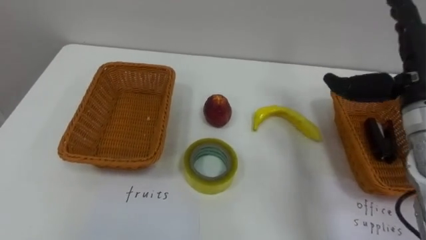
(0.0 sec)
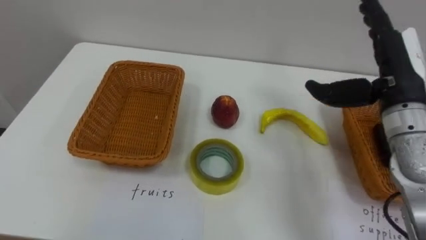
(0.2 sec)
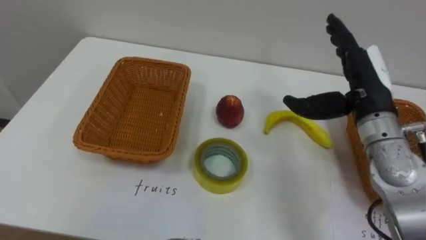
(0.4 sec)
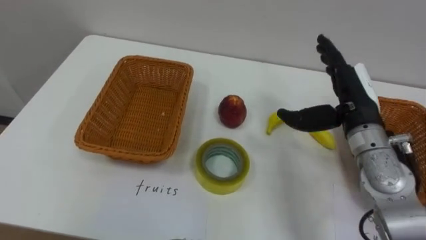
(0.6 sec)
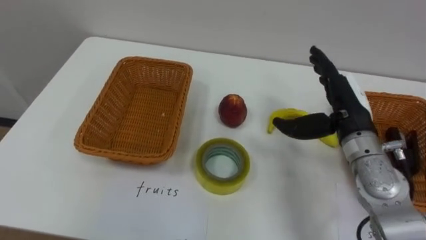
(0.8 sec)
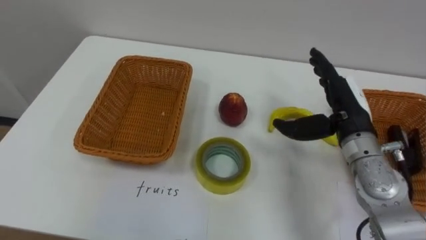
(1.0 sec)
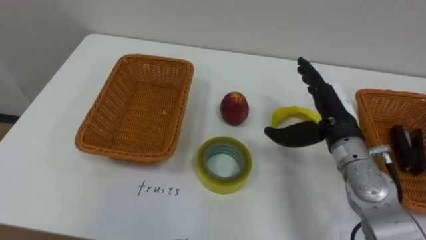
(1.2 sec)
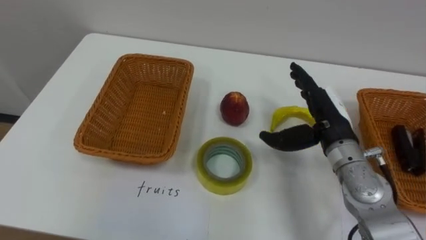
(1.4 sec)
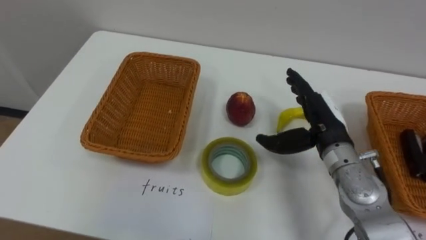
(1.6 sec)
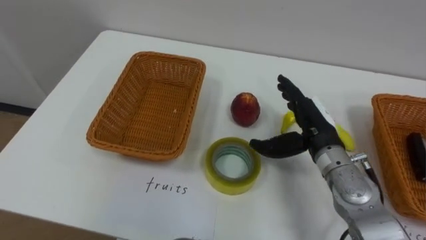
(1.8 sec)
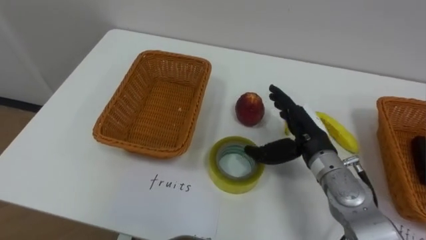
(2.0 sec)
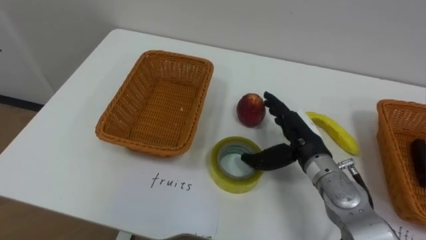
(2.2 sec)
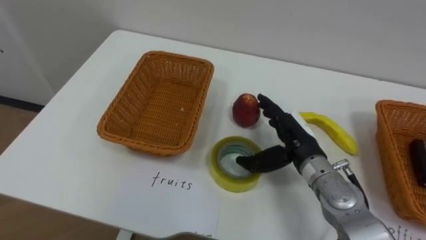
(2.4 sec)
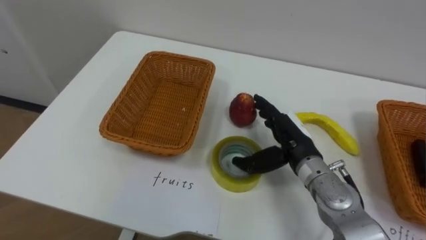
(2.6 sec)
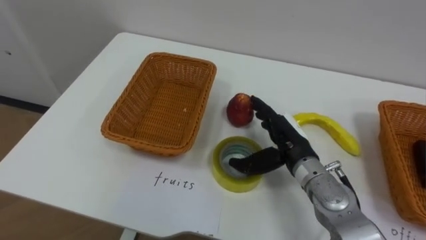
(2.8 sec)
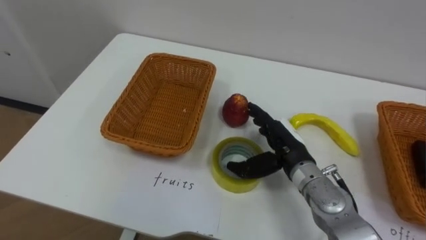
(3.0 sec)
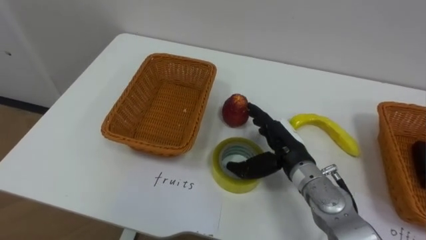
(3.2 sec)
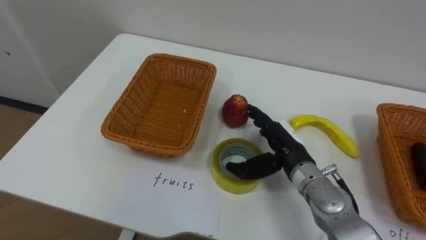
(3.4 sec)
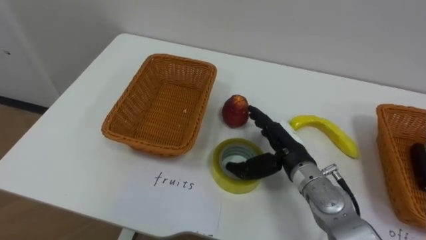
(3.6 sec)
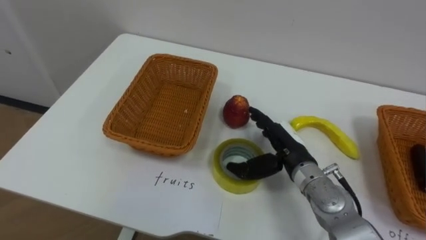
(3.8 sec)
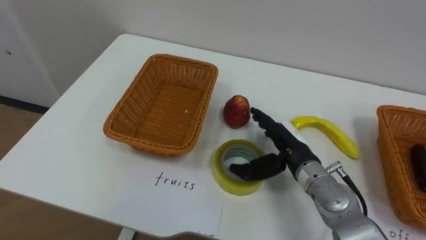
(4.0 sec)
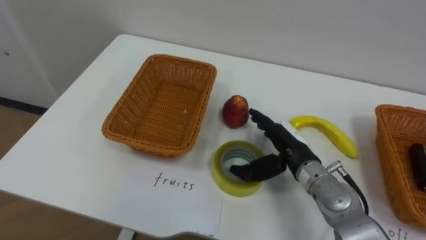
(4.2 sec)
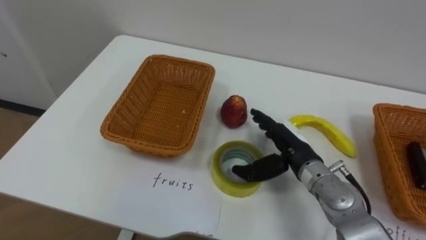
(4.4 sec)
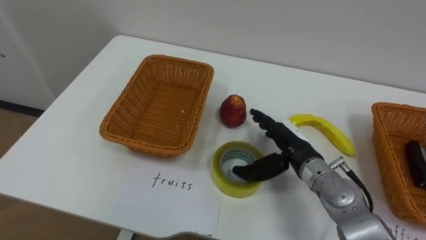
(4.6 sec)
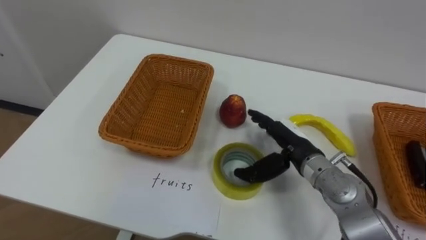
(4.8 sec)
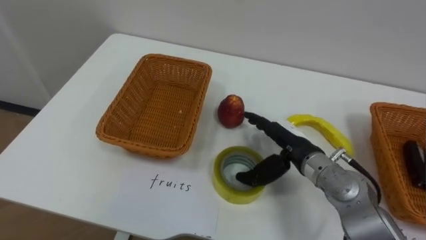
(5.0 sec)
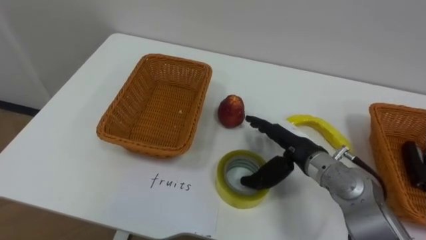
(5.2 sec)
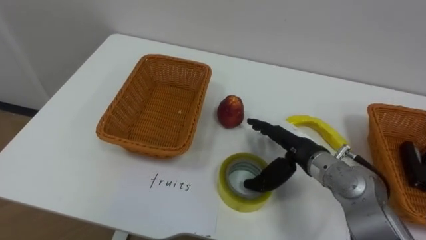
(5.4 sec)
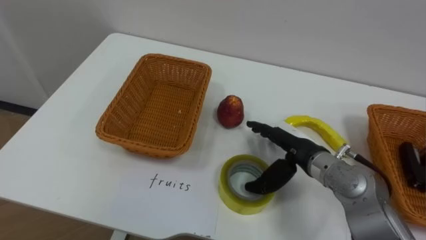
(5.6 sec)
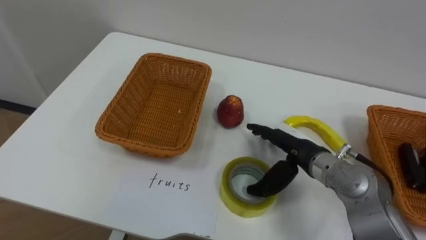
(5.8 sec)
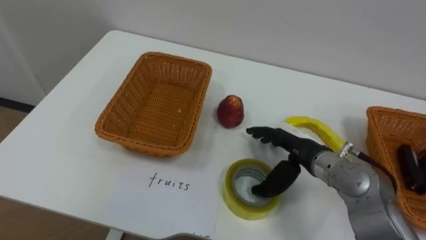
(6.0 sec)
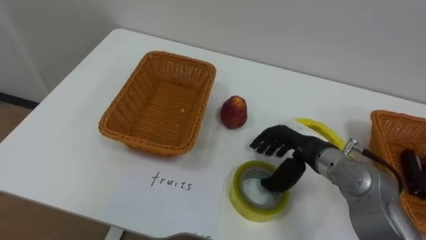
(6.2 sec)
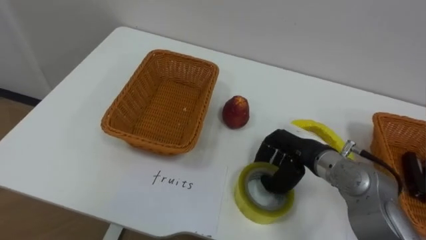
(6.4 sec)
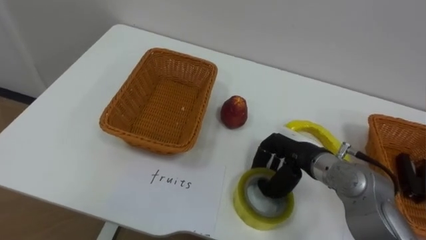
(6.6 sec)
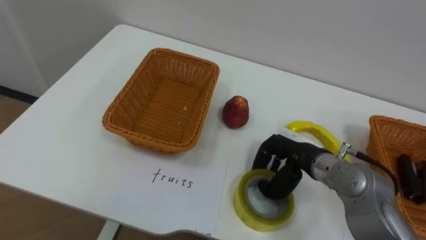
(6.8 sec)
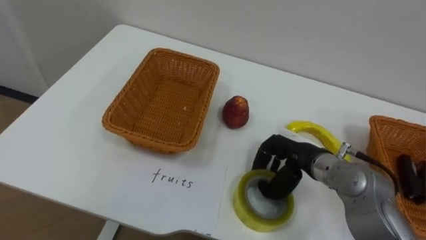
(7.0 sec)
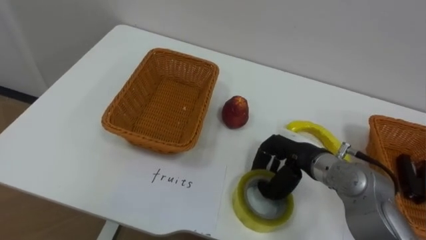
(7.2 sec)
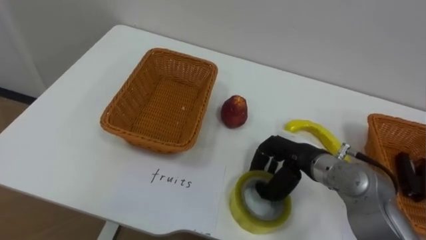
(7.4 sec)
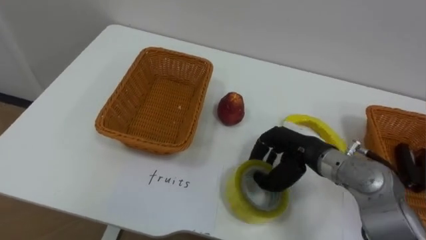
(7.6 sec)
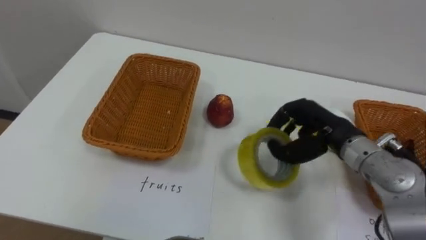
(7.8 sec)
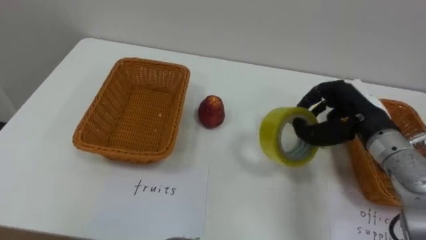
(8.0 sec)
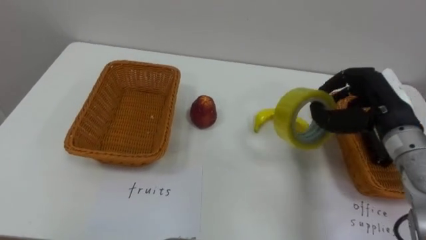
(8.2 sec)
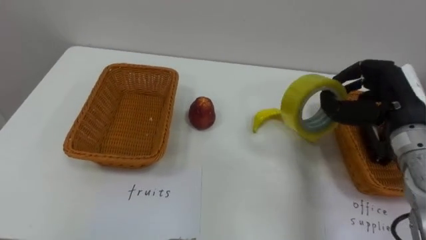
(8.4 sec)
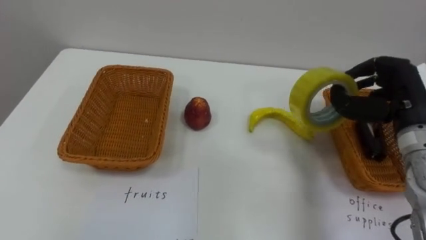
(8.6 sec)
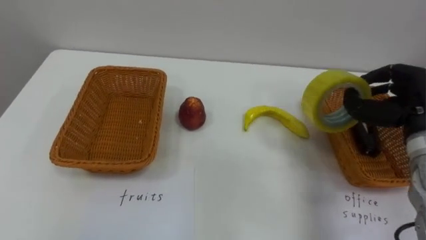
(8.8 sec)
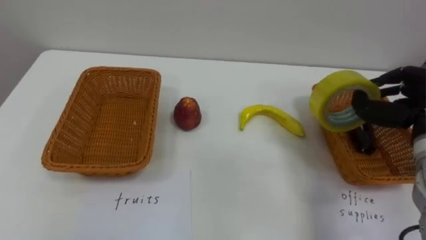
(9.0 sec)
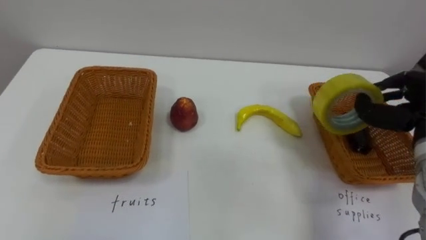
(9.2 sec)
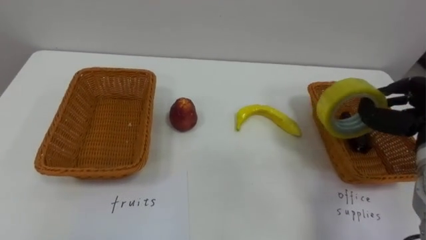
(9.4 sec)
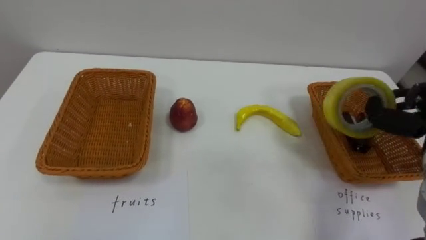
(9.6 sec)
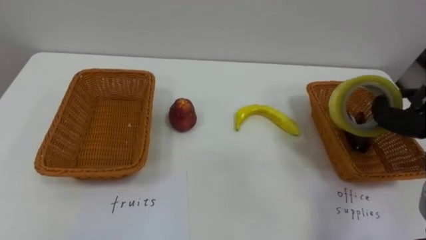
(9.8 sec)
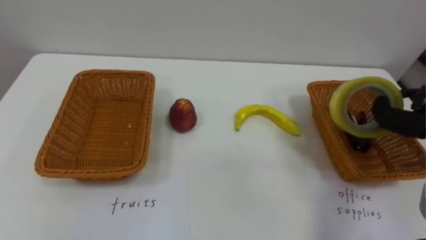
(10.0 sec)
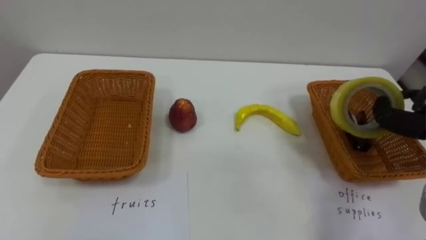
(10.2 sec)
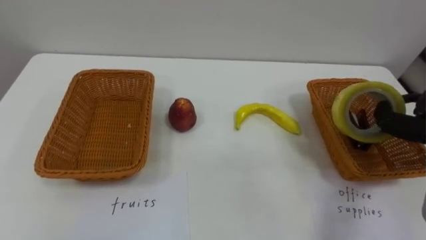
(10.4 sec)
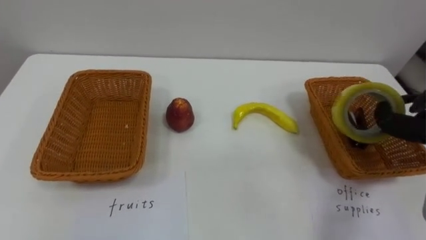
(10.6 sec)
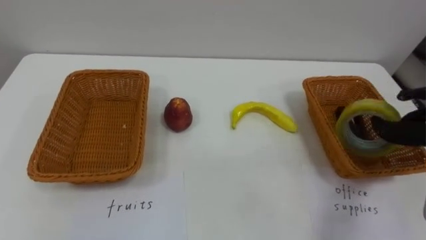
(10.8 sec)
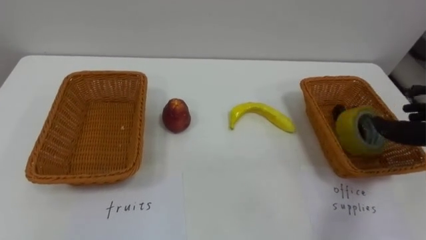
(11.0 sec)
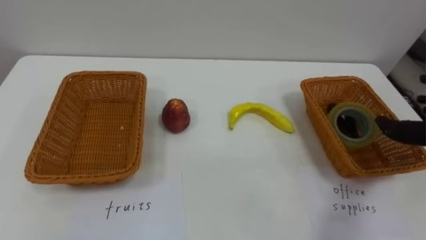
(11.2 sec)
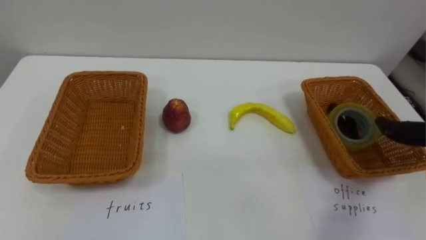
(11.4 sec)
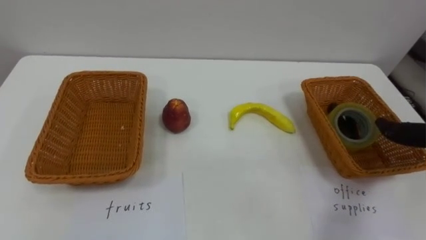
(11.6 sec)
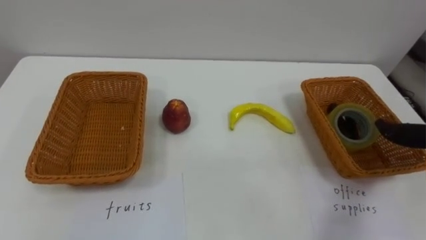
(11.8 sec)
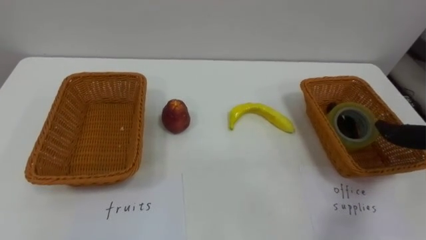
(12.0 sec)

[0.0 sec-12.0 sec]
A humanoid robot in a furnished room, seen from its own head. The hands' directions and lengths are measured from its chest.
Task of the whole recording: Separate the items on the table and place them into the two baskets.
0.0 sec to 1.6 sec: The right hand moves downward and to the left, about 15 cm.
1.6 sec to 3.0 sec: The right hand is displaced to the left and downward by about 10 cm.
6.0 sec to 7.6 sec: The right hand closes its fingers.
7.6 sec to 9.0 sec: The right hand travels to the right and upward by roughly 20 cm.

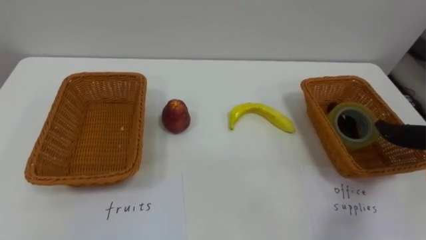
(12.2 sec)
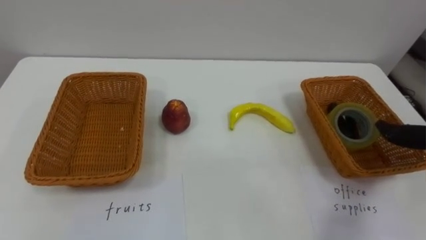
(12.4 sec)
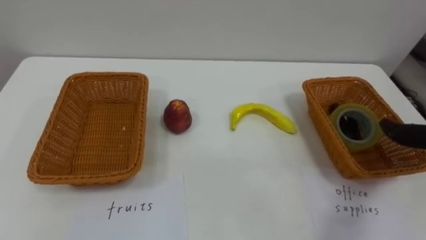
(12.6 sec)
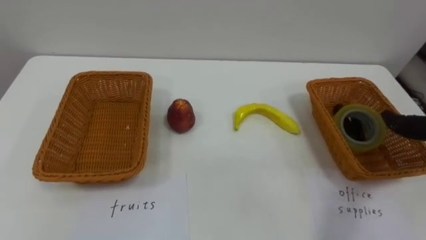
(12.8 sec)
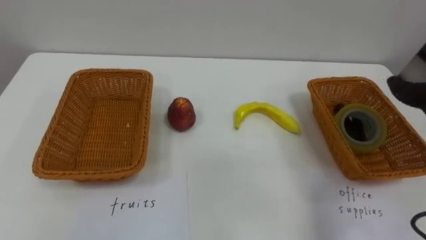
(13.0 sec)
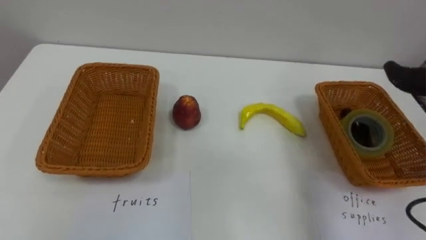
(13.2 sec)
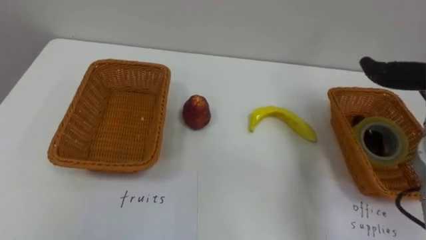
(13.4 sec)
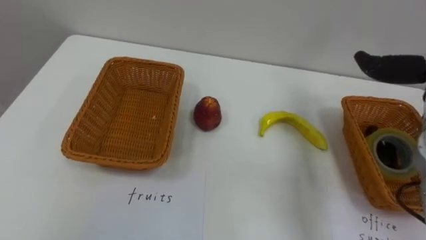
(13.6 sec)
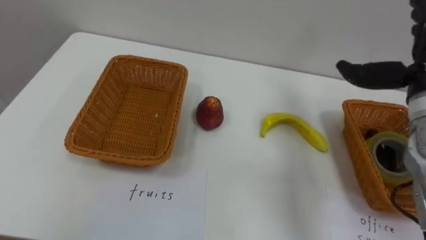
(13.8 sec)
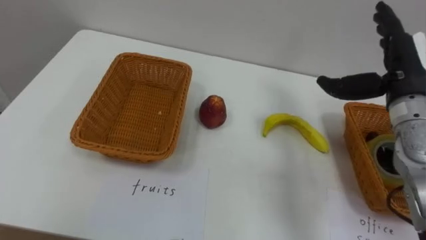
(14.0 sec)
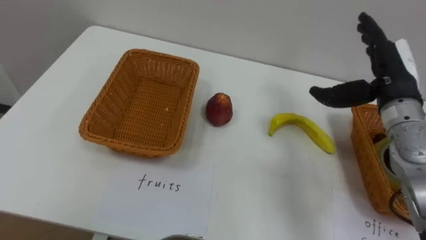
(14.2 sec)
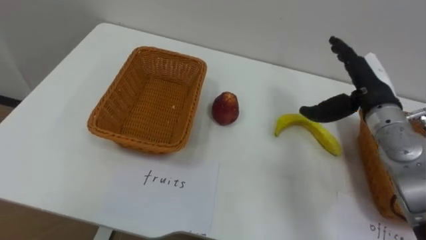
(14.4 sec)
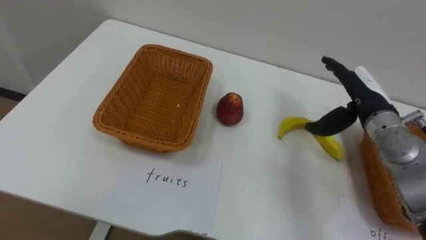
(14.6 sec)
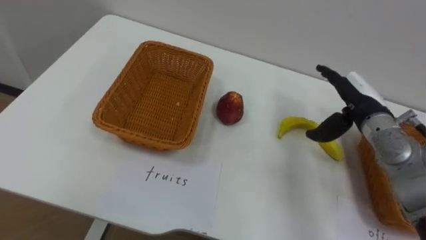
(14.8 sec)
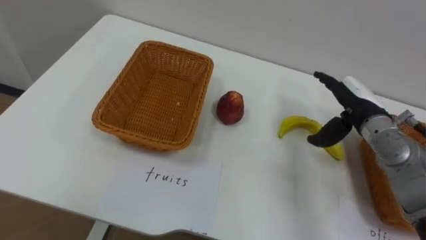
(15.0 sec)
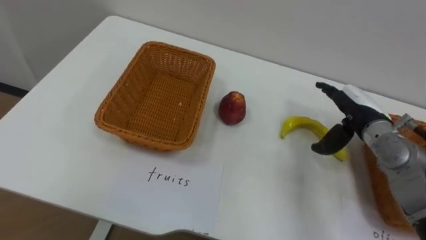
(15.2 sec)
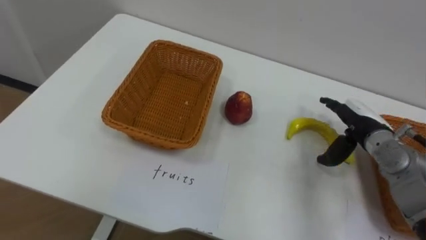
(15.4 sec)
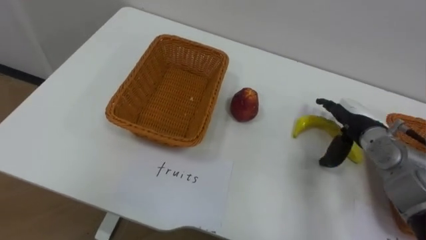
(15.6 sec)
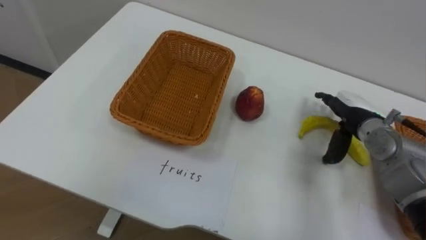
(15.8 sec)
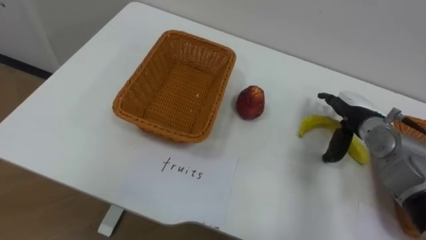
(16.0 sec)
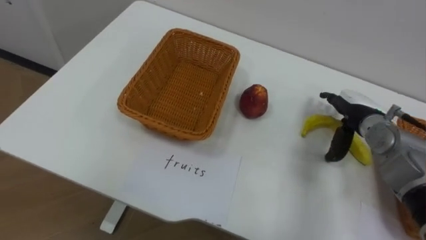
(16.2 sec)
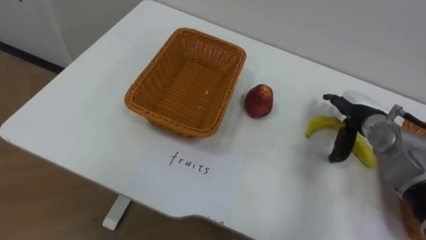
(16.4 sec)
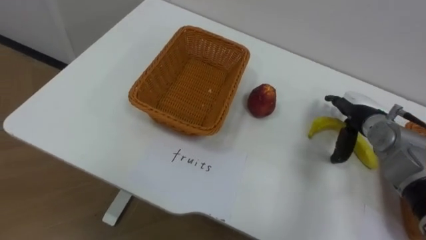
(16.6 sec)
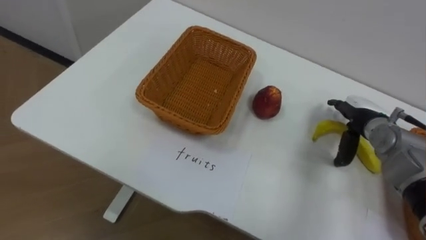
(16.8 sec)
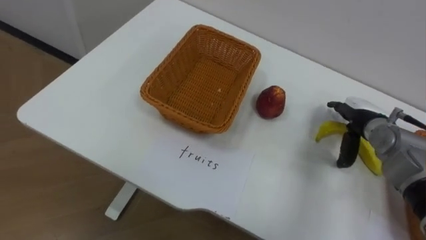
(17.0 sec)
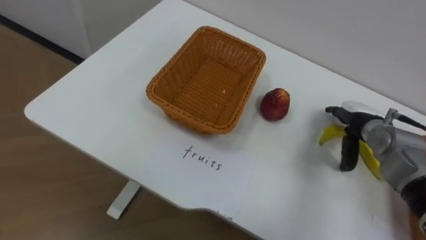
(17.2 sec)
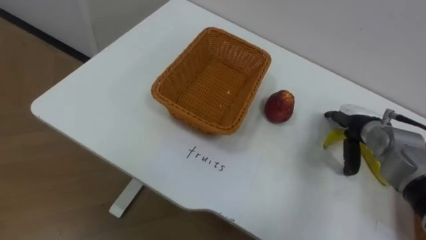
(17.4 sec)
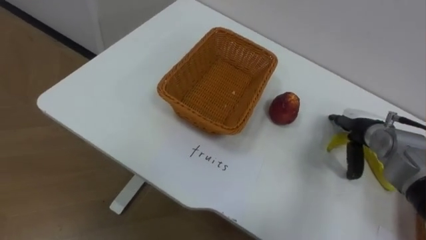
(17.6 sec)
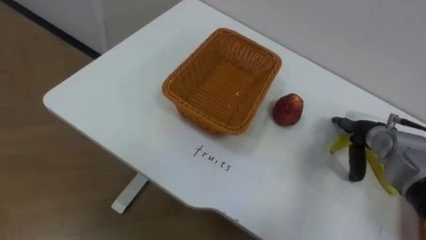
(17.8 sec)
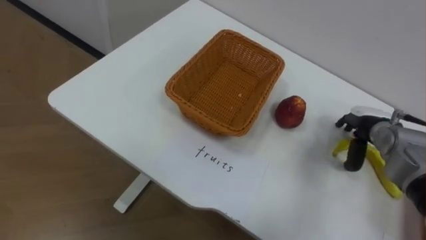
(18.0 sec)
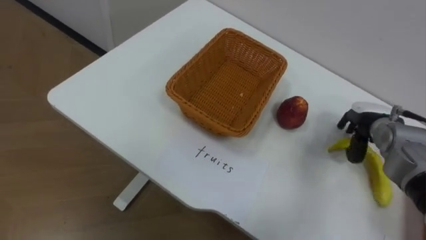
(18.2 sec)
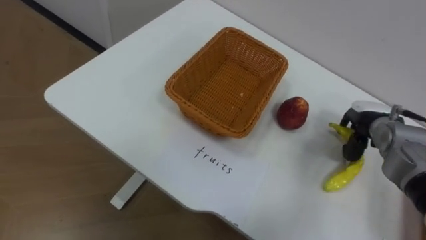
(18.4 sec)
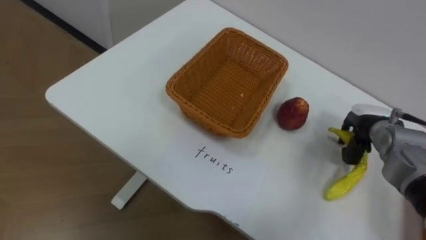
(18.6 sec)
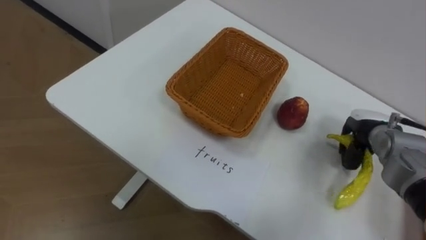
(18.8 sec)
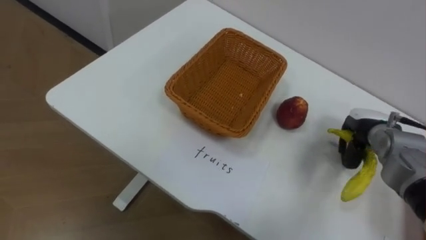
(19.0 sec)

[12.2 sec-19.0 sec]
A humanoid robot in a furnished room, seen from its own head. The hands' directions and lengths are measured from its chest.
Task of the whole recording: Separate the items on the table and place them into the two baskets.
17.6 sec to 19.0 sec: The right hand closes.
